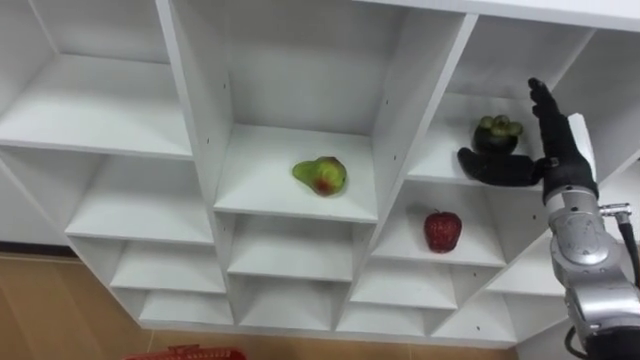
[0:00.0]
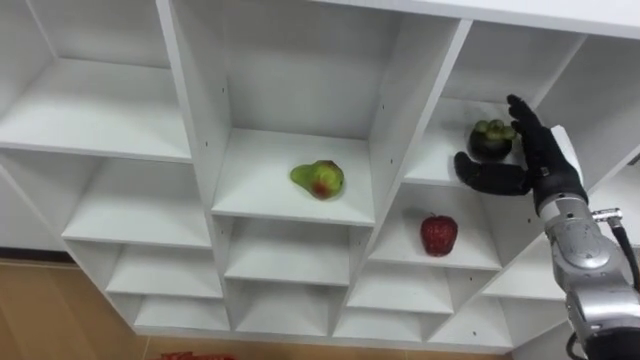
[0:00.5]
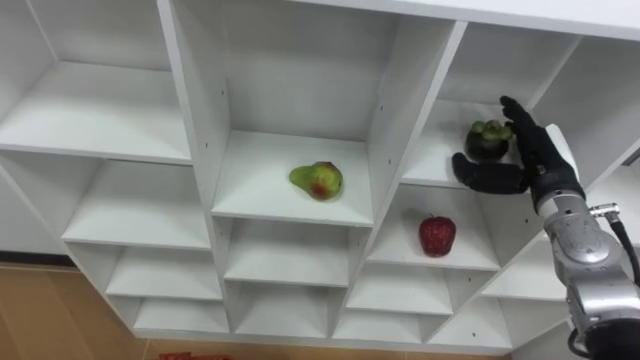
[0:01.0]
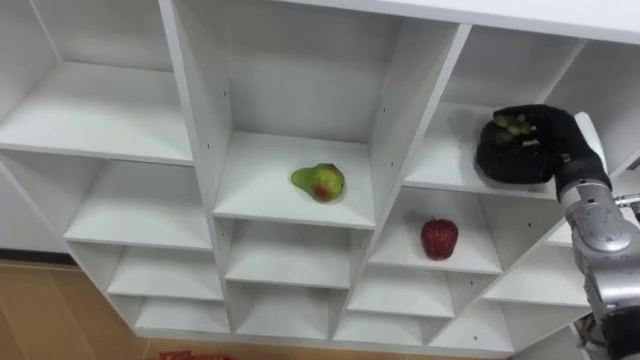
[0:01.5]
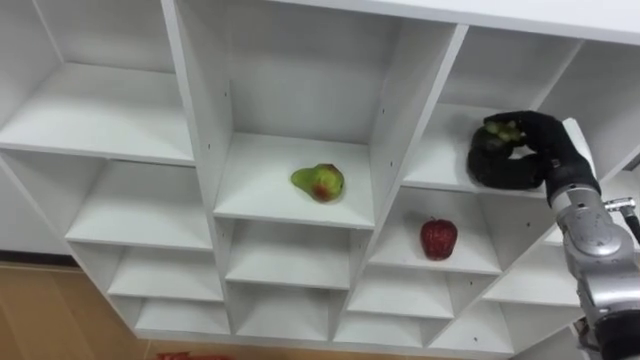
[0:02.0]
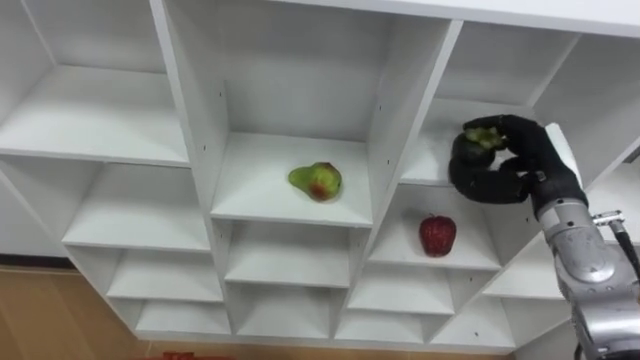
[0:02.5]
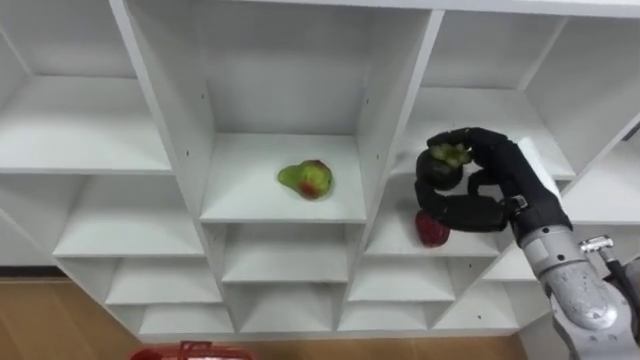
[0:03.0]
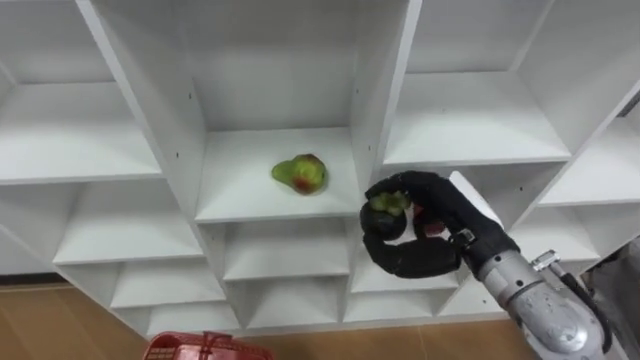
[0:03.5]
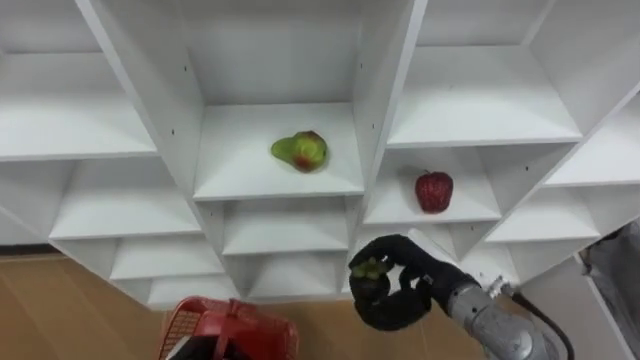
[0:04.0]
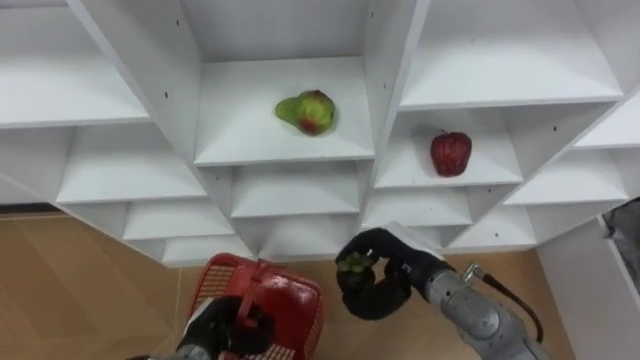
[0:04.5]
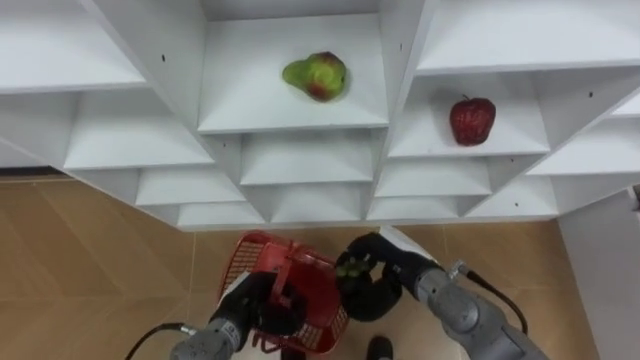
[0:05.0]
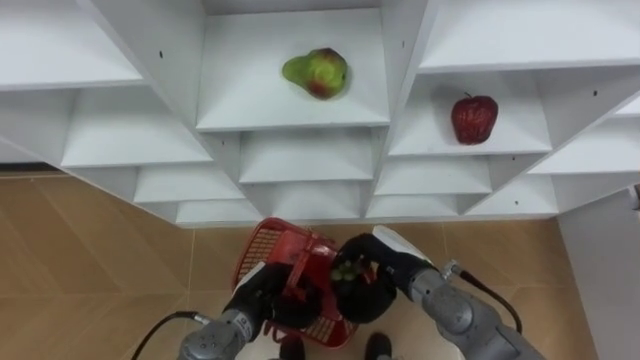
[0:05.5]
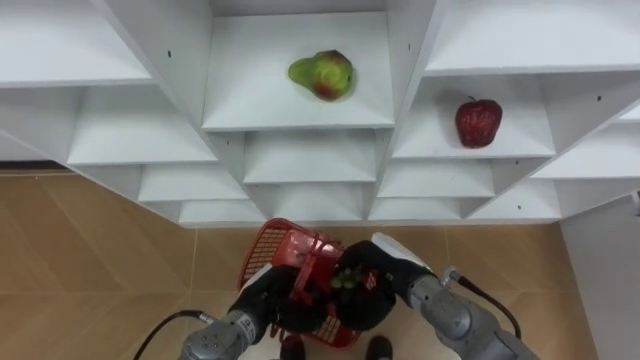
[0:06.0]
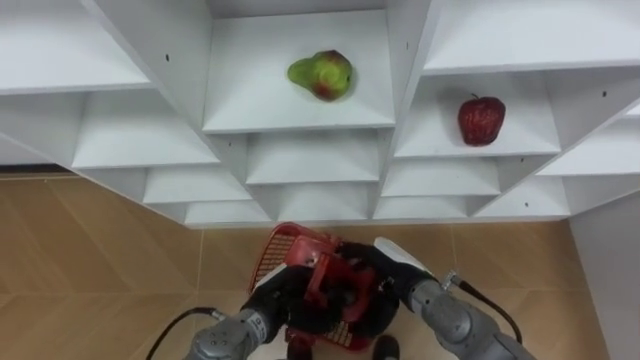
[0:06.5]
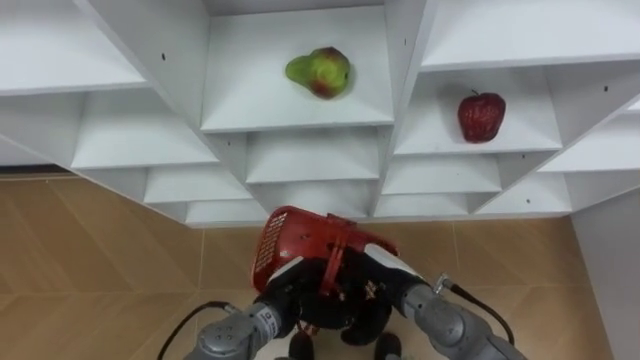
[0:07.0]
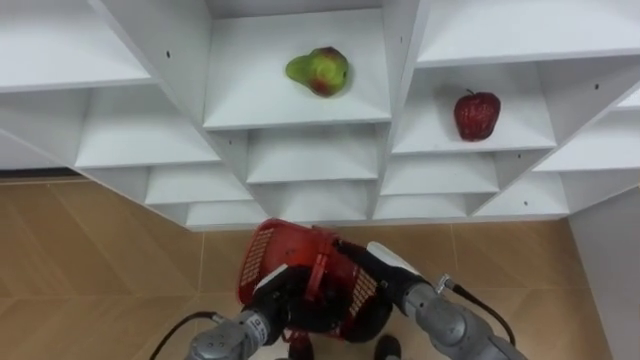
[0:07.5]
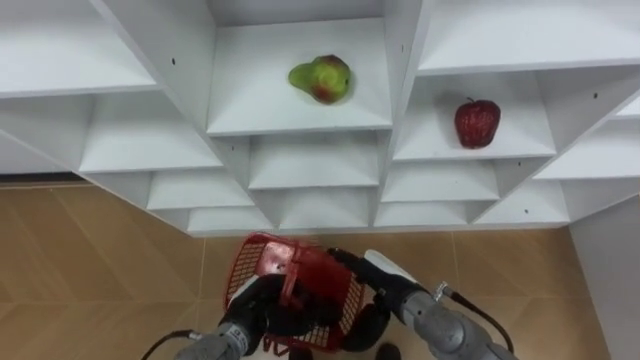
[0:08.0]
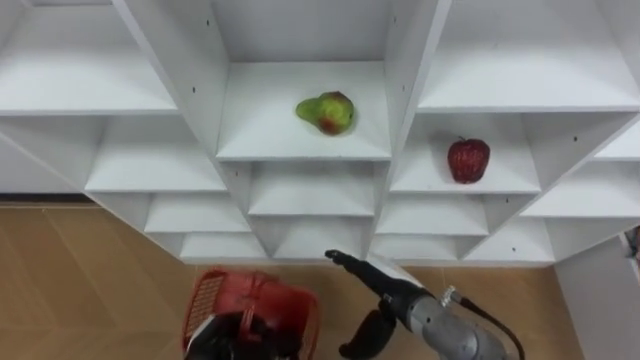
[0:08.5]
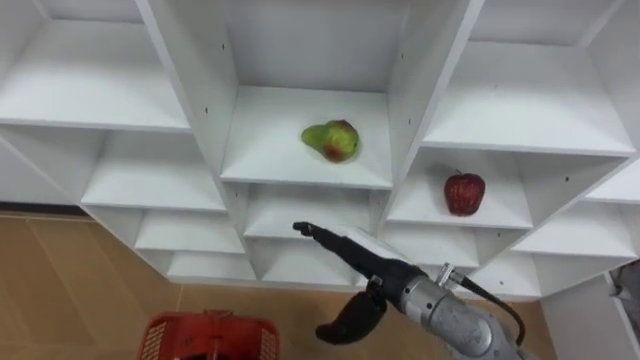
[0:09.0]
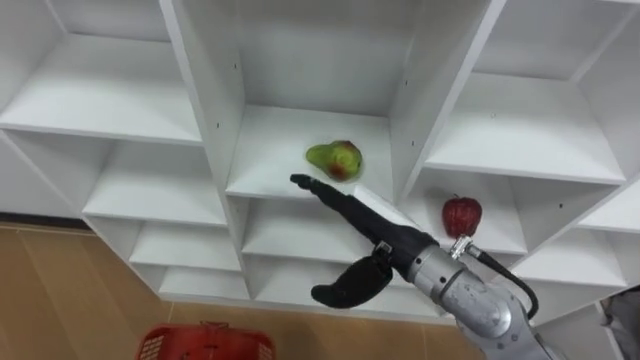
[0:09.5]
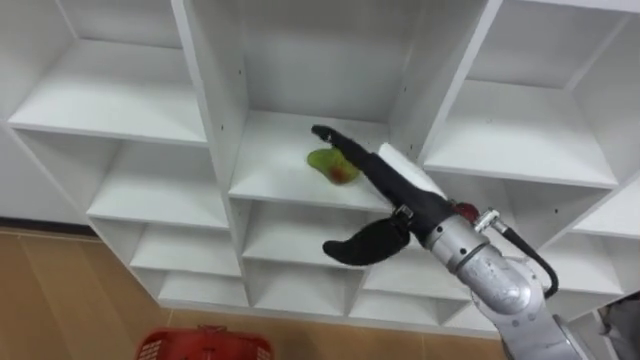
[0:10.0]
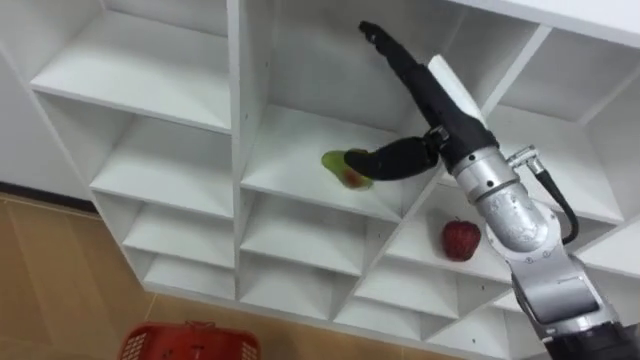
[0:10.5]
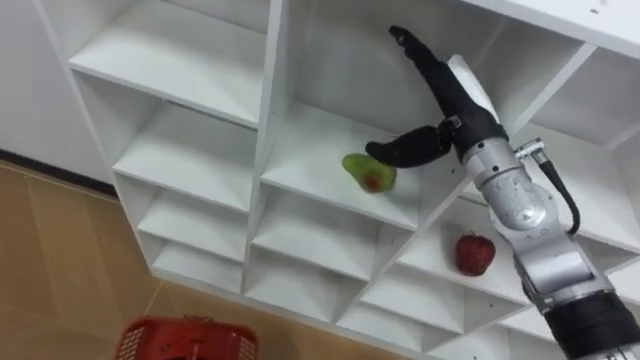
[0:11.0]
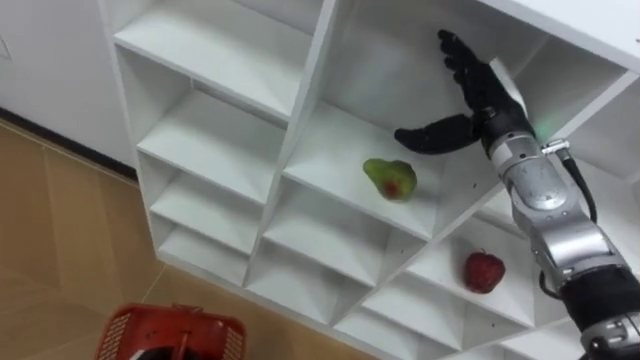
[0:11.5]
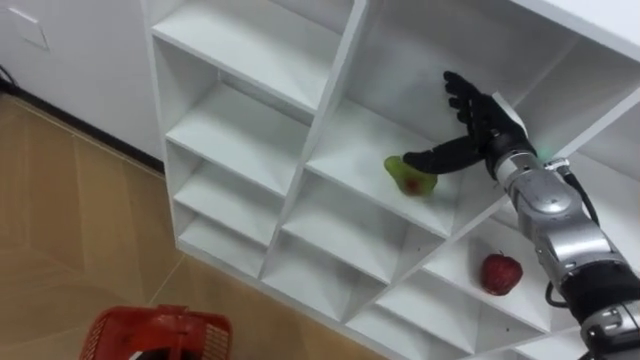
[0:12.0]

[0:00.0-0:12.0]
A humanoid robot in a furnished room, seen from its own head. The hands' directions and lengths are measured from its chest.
Task of the whole recording: Hold the basket and collect the fruits from 3 different cells of the closet into it.
0.0 to 2.0 s: The right hand closes its fingers.
2.0 to 4.0 s: The right hand travels to the left, backward and downward by some 20 cm.
4.0 to 6.0 s: The right hand goes some 5 cm to the left.
6.0 to 8.0 s: The right hand opens.
8.0 to 10.0 s: The right hand moves upward, about 20 cm.
10.0 to 12.0 s: The right hand heads to the right and forward, covering approximately 15 cm.

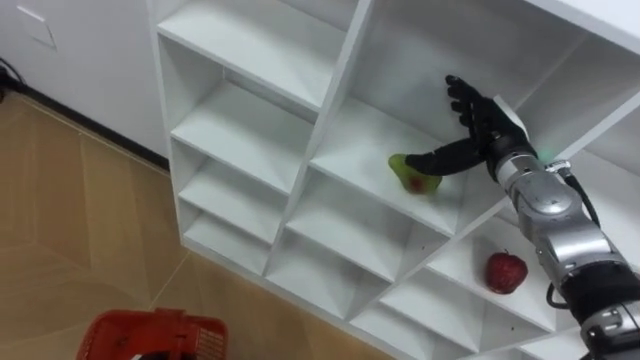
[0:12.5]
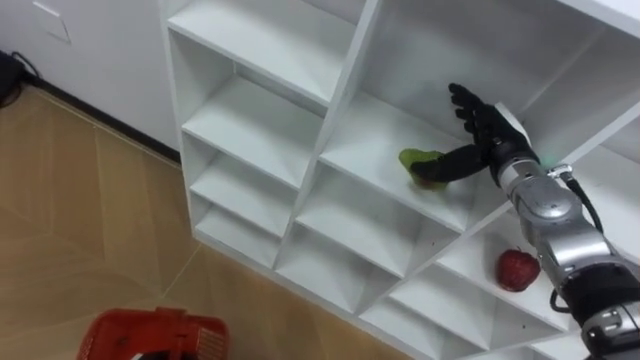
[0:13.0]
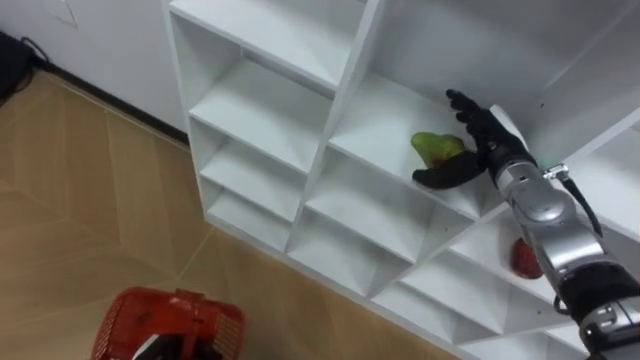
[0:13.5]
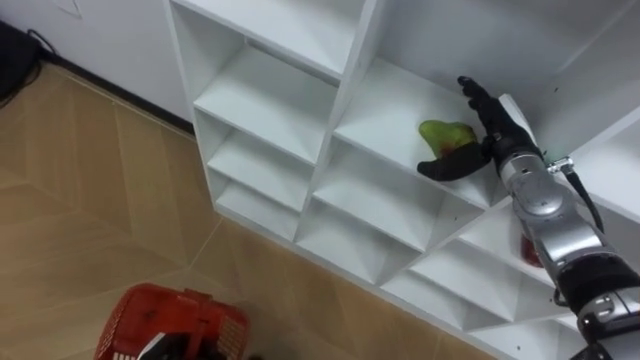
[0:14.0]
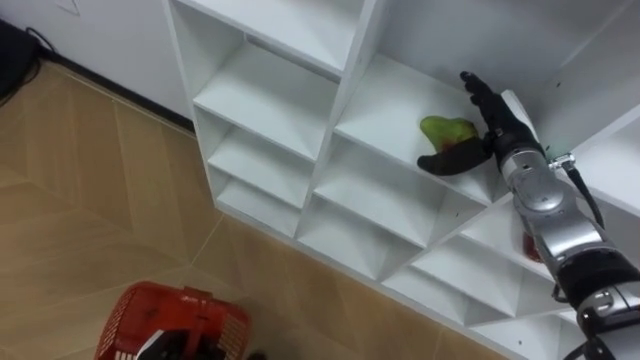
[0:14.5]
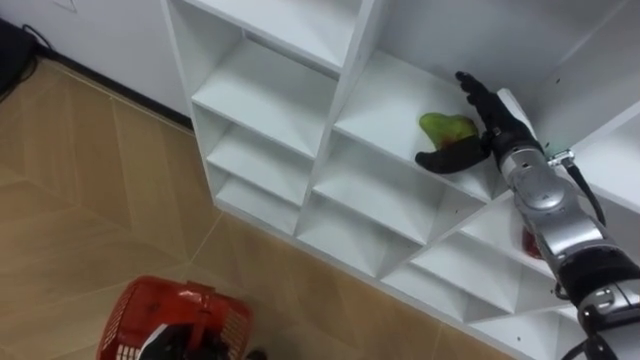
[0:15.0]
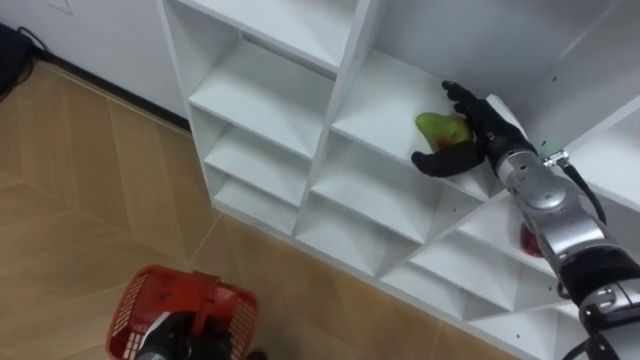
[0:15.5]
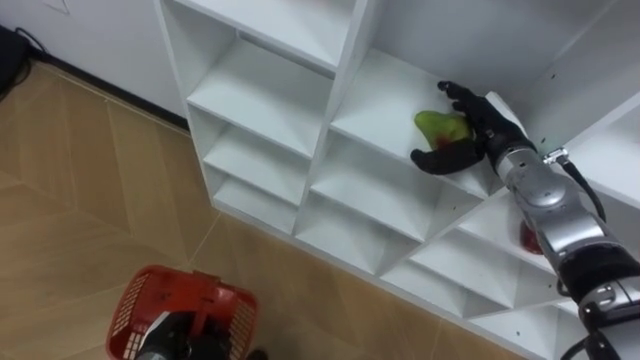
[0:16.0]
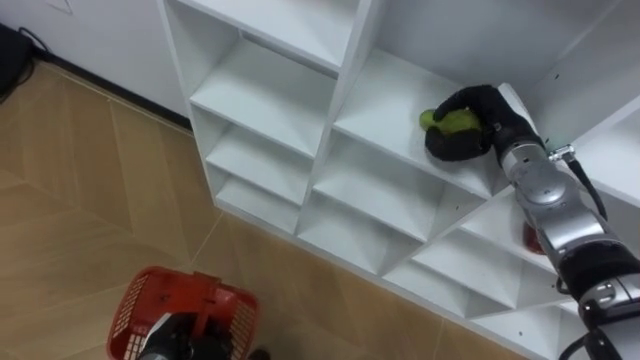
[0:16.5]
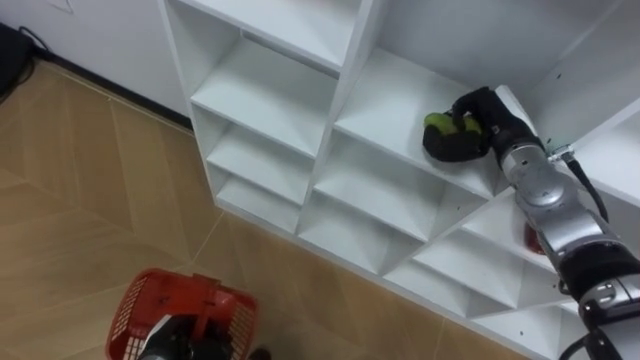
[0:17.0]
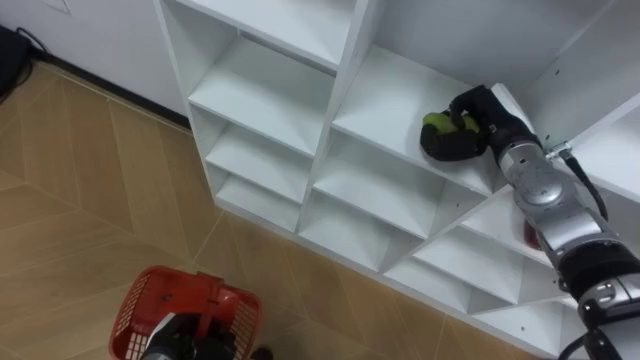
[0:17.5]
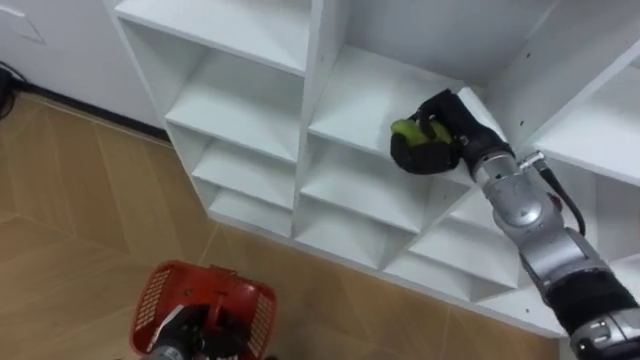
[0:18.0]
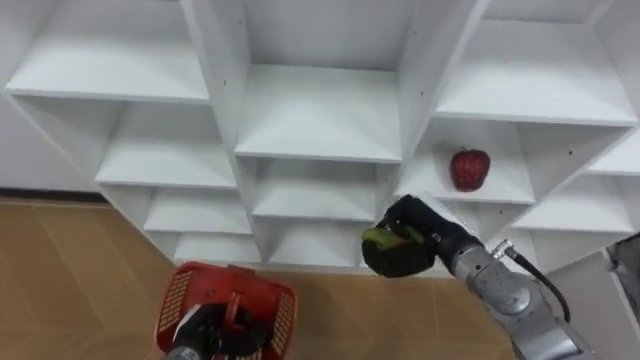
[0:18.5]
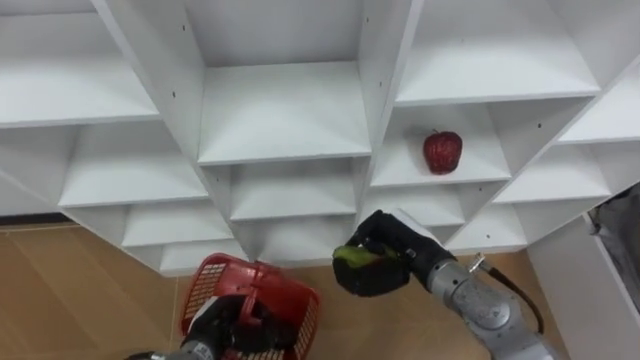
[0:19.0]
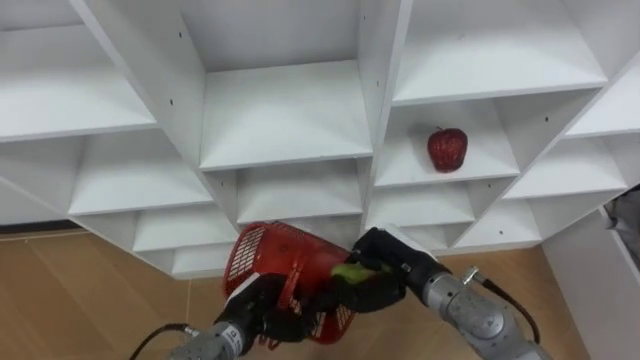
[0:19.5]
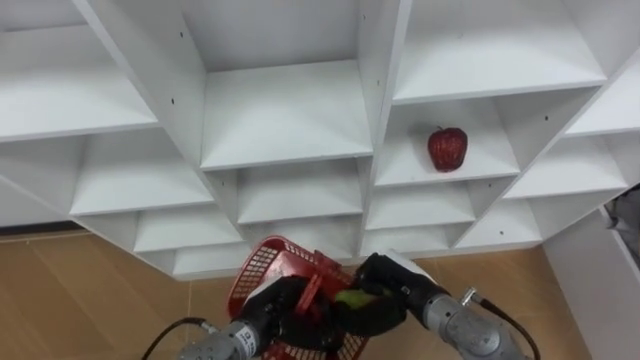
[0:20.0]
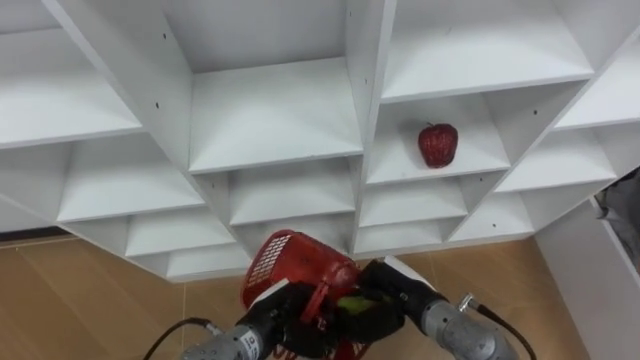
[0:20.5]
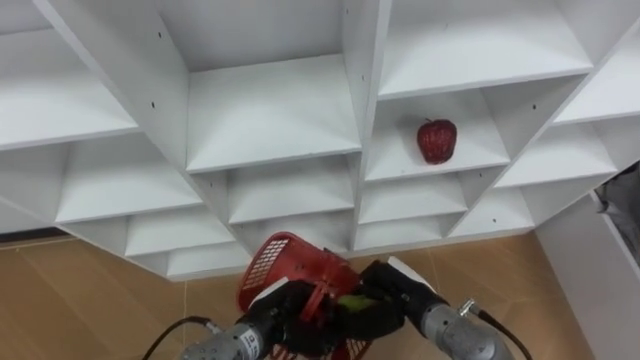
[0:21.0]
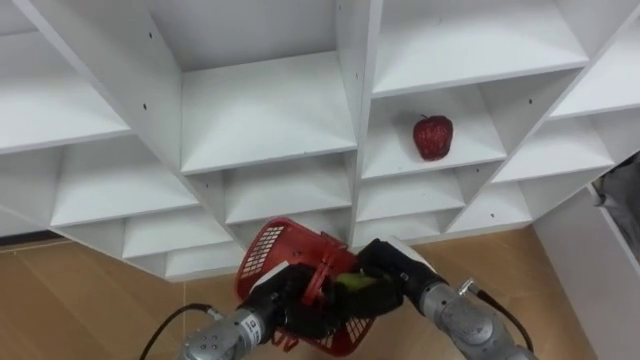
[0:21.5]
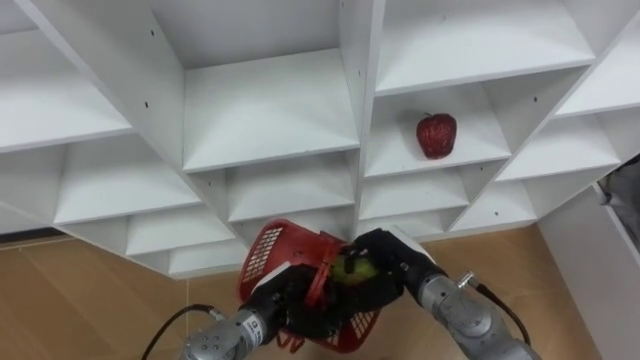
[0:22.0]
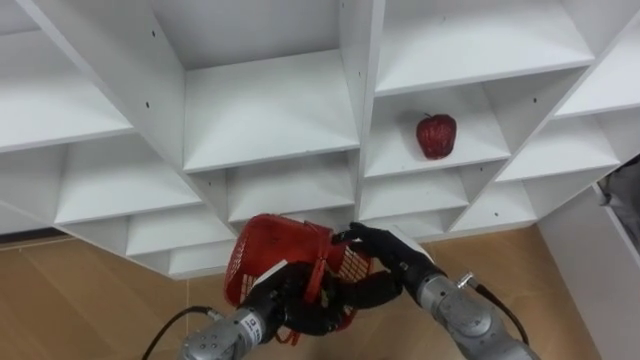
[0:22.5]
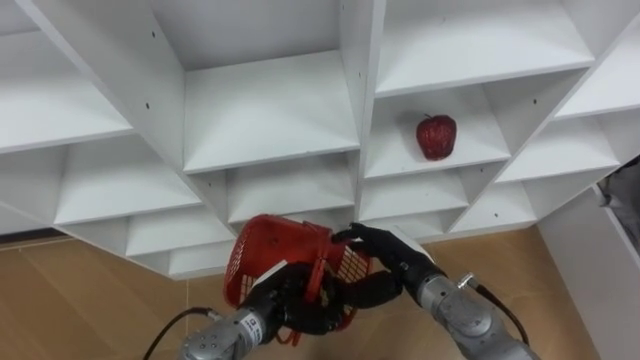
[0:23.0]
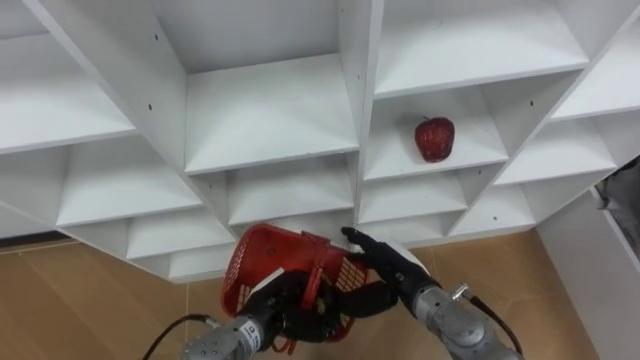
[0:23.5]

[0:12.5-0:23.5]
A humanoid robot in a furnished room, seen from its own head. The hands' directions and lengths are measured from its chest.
Task of the whole recording: Hold the basket and collect the fruits from 3 different cells of the closet into it.
16.0 to 18.0 s: The right hand closes its fingers.
18.0 to 20.0 s: The left hand moves to the right and upward, some 15 cm. Meanwhile the right hand heads backward, downward and to the left, covering roughly 20 cm.
21.5 to 23.5 s: The right hand opens its fingers.
